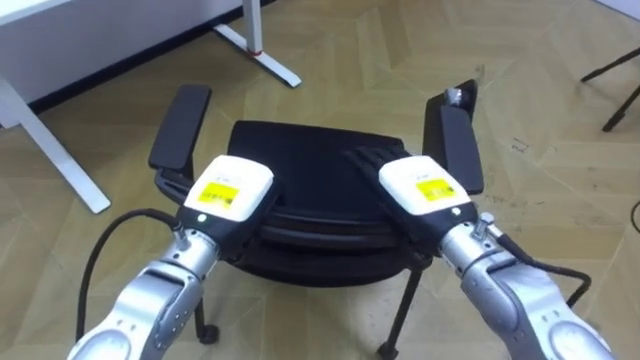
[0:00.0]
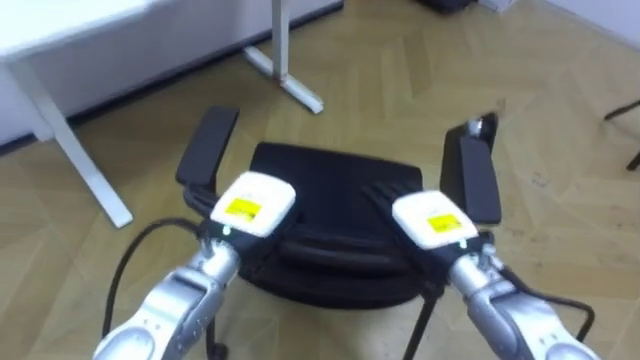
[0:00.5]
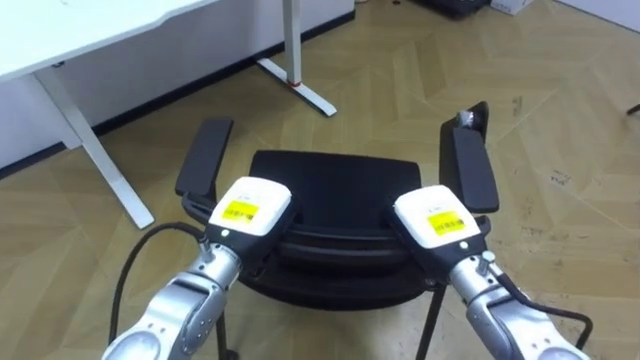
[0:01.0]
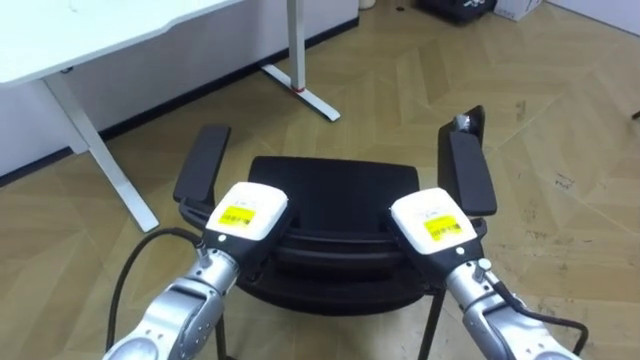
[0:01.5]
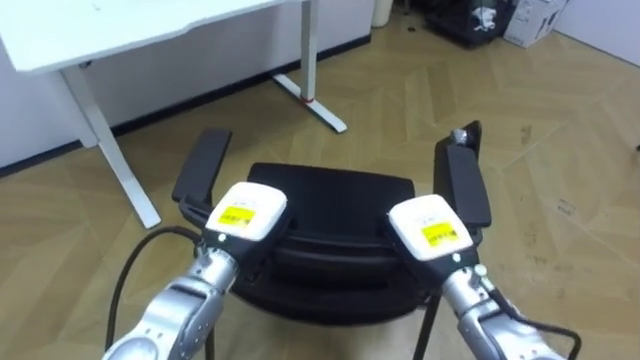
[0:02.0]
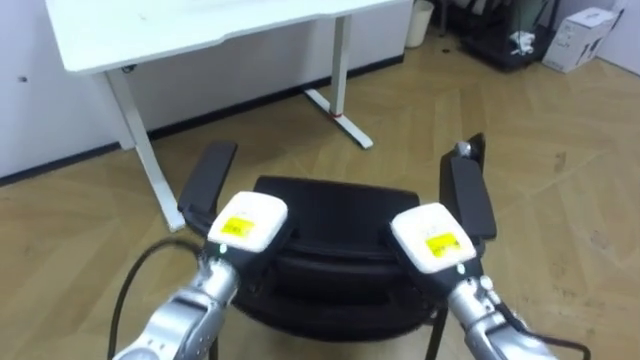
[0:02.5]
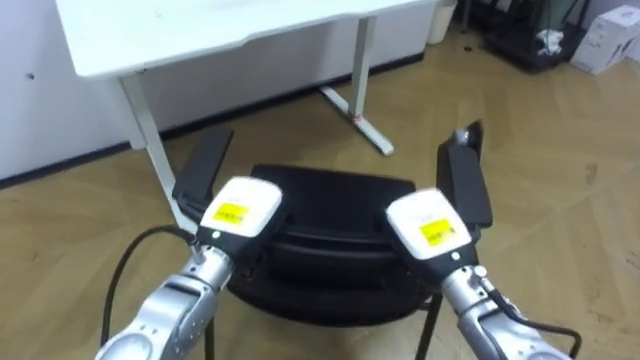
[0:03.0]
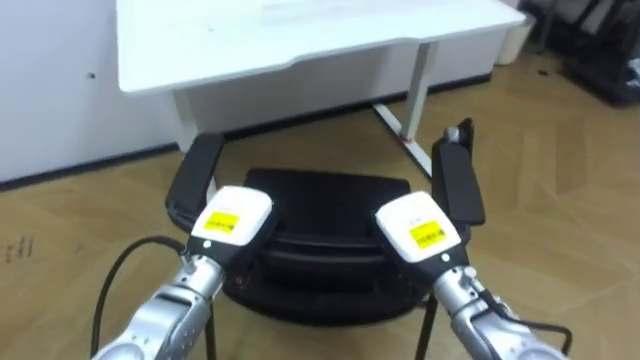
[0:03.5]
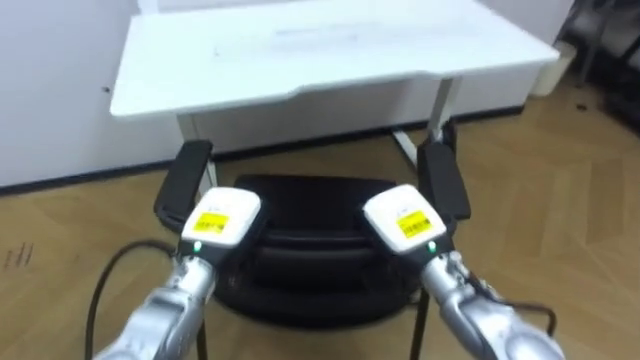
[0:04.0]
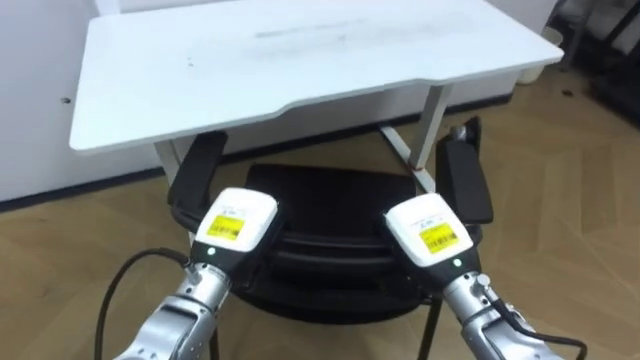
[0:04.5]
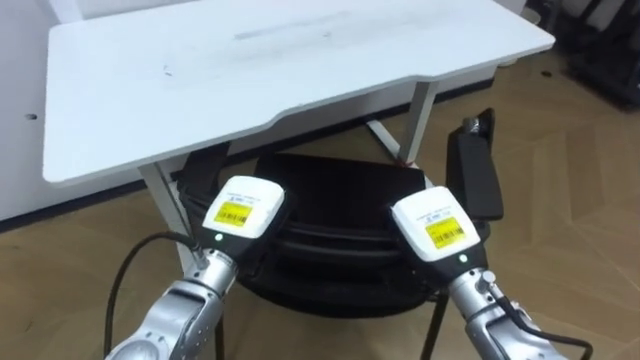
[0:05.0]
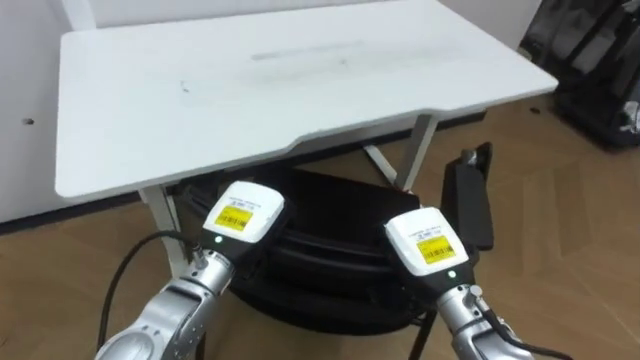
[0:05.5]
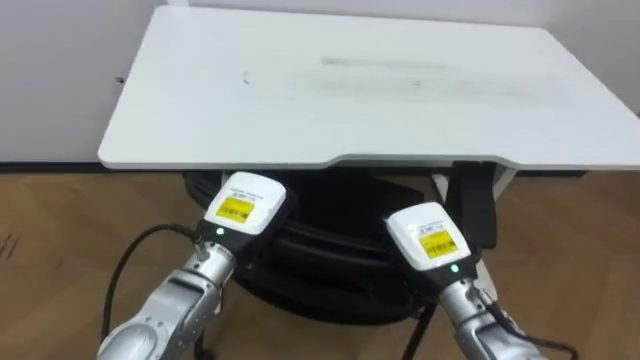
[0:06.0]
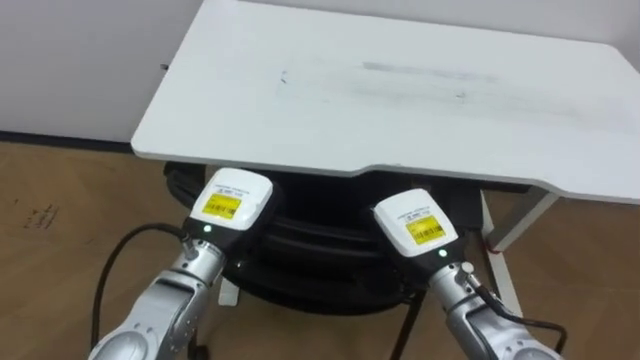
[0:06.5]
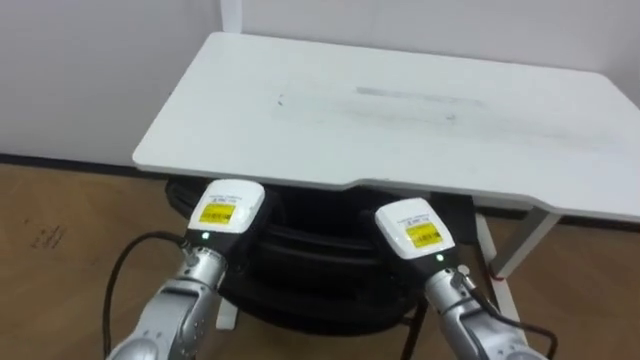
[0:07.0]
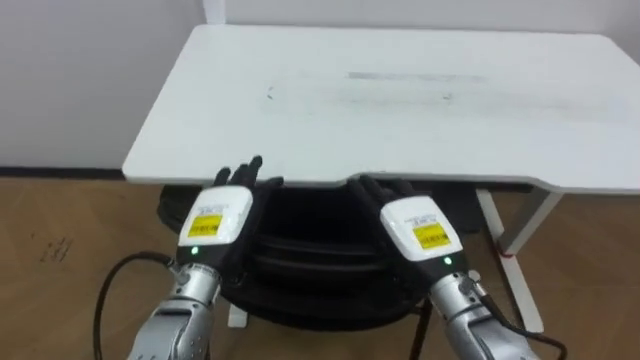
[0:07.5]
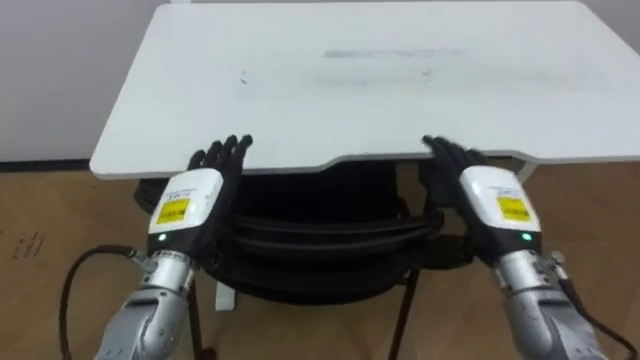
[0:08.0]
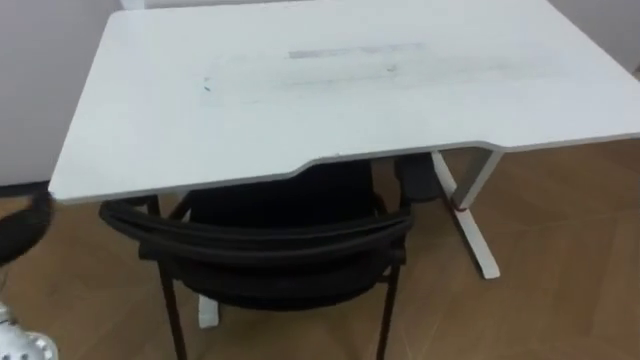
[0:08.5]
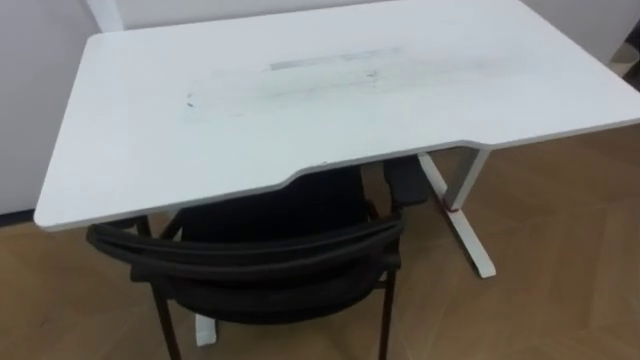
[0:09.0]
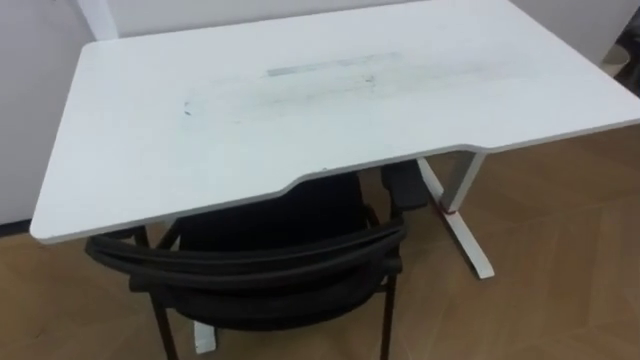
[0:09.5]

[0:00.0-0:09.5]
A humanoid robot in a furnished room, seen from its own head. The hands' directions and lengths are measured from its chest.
Task of the whole recording: Push the chair under the table.
0:00.0 to 0:02.0: The right hand is displaced downward by about 5 cm, and closes its fingers.
0:02.0 to 0:04.0: The robot rotates about 20 degrees to its left.
0:05.5 to 0:07.5: The robot's body swings approximately 20 degrees to its left. The right hand opens. The left hand opens.

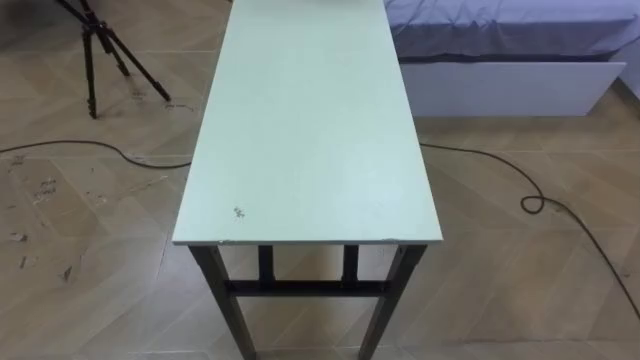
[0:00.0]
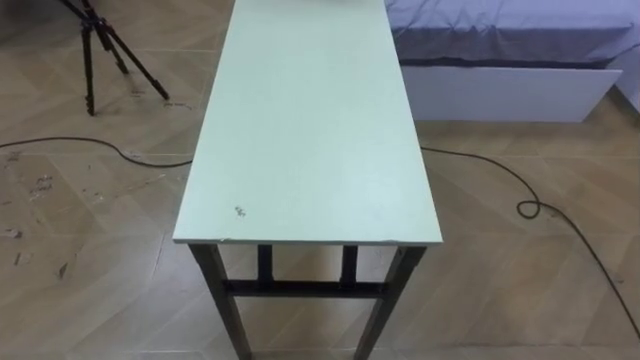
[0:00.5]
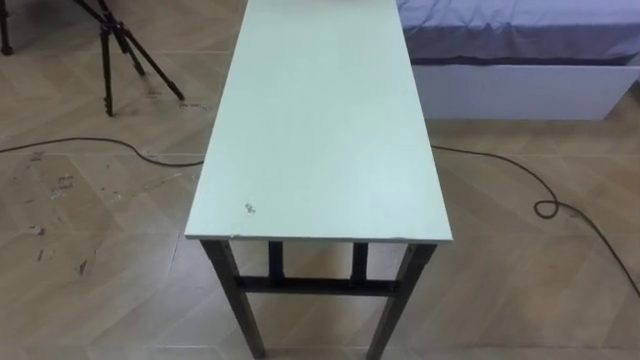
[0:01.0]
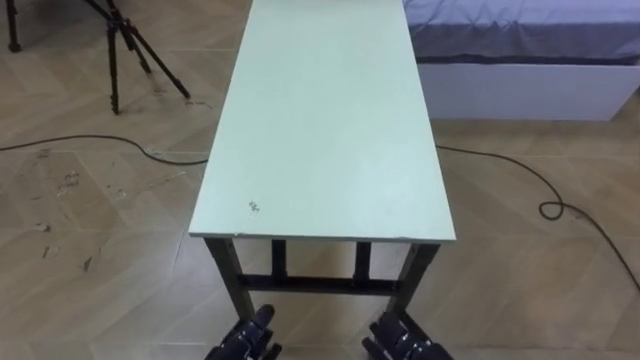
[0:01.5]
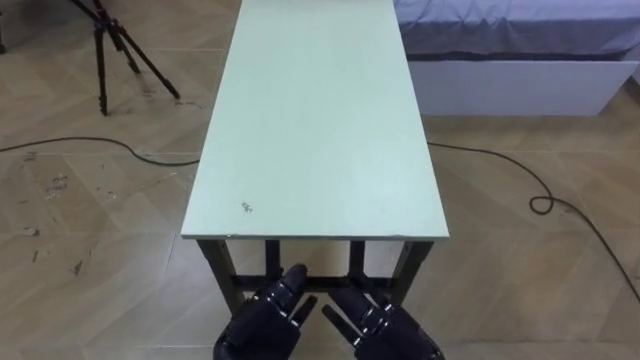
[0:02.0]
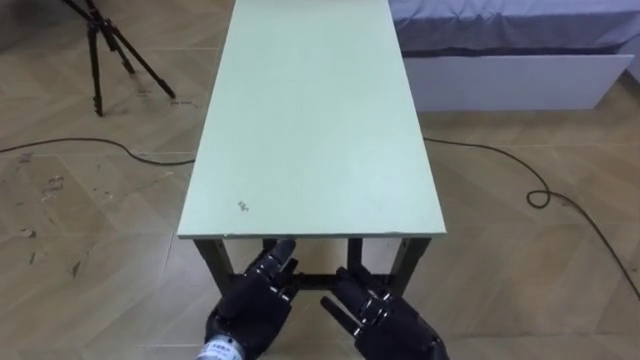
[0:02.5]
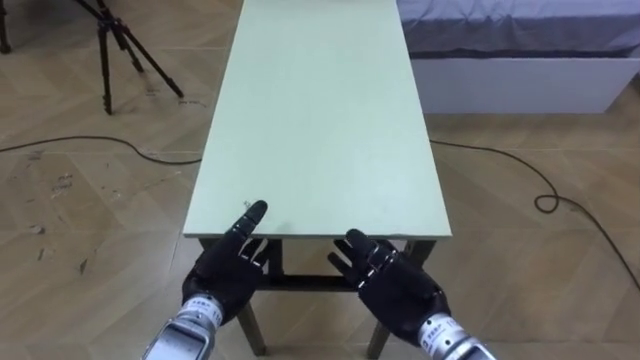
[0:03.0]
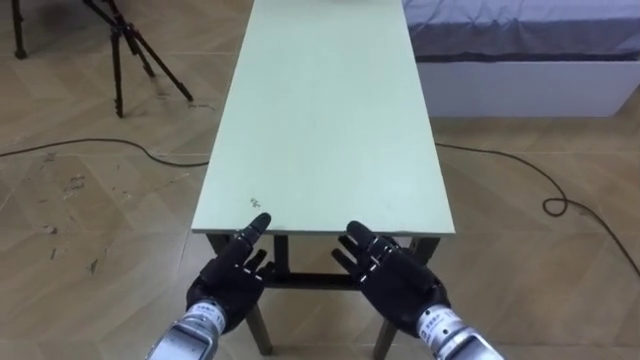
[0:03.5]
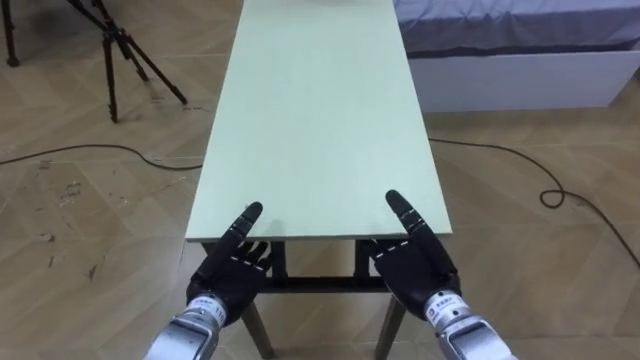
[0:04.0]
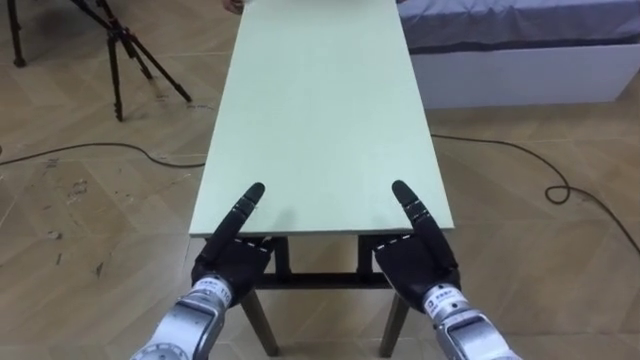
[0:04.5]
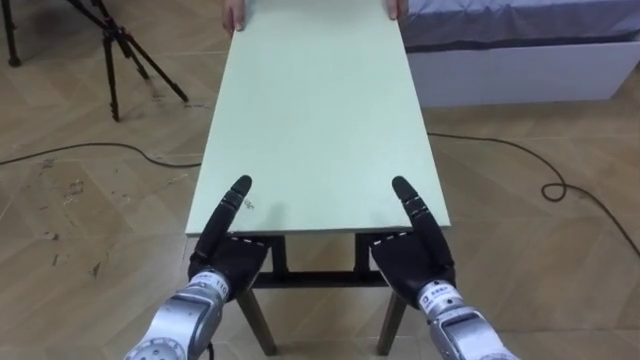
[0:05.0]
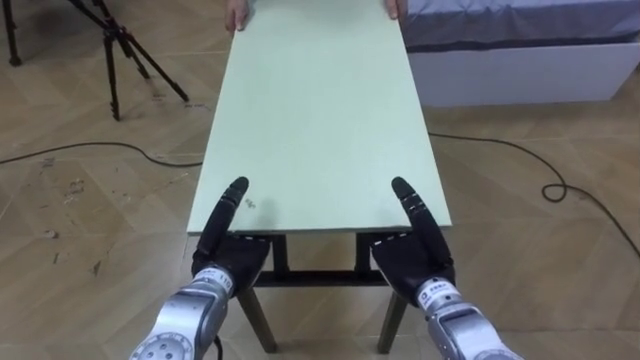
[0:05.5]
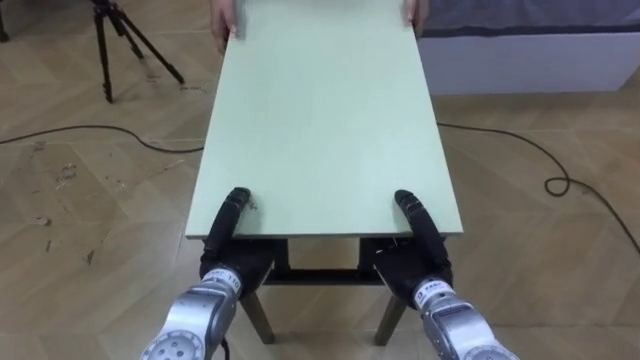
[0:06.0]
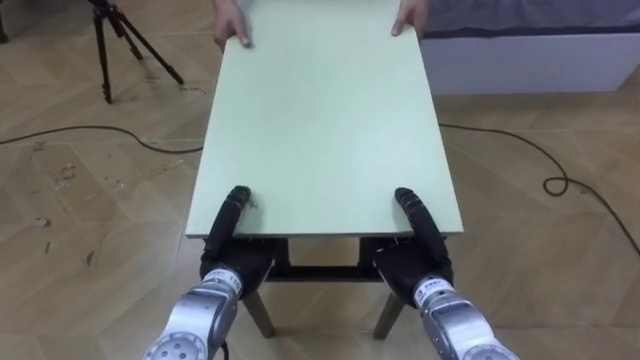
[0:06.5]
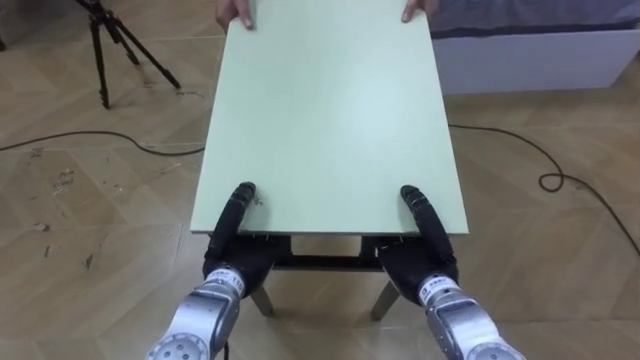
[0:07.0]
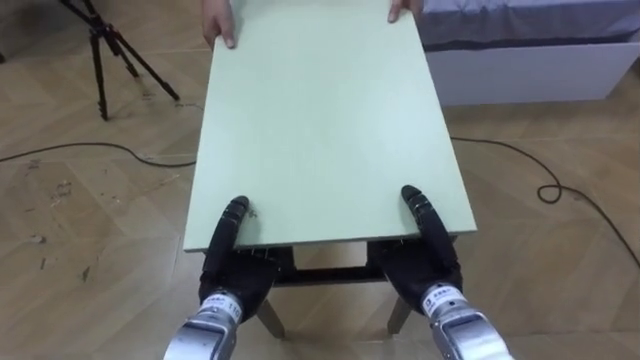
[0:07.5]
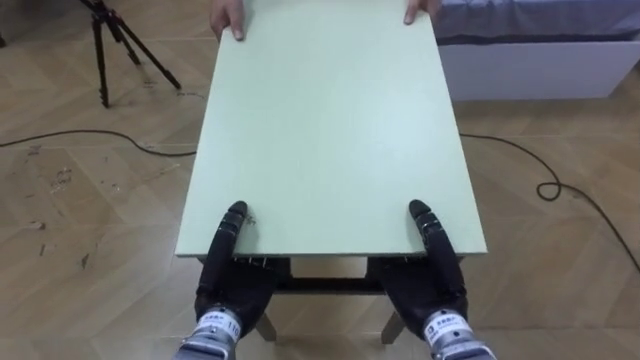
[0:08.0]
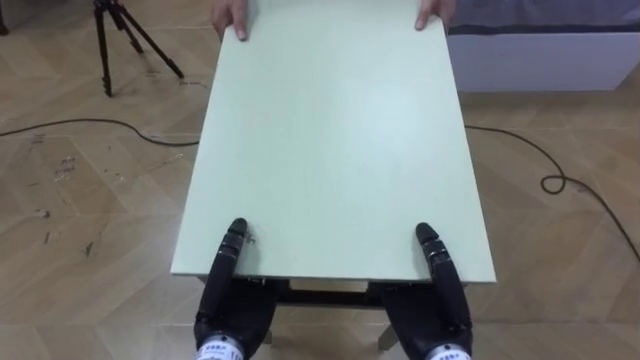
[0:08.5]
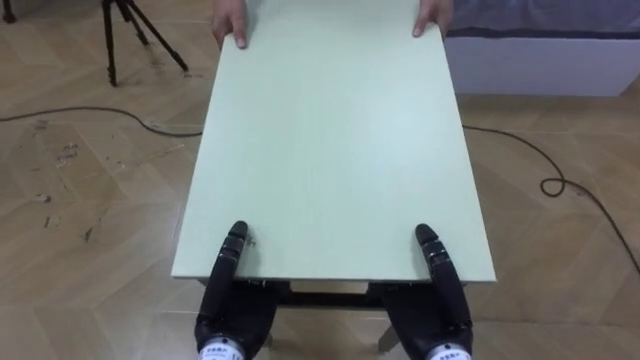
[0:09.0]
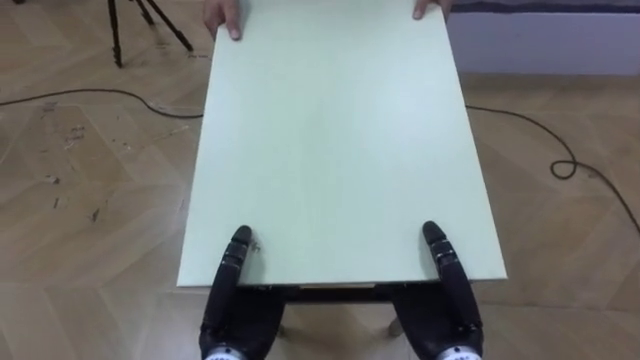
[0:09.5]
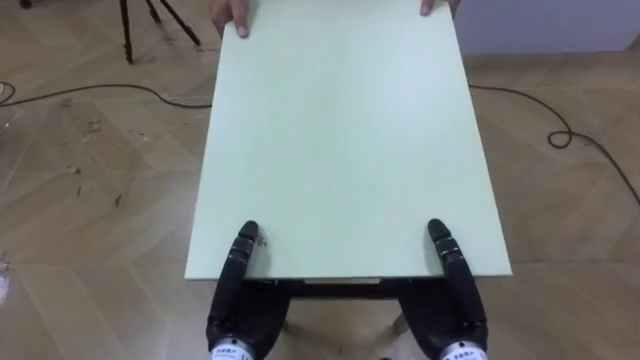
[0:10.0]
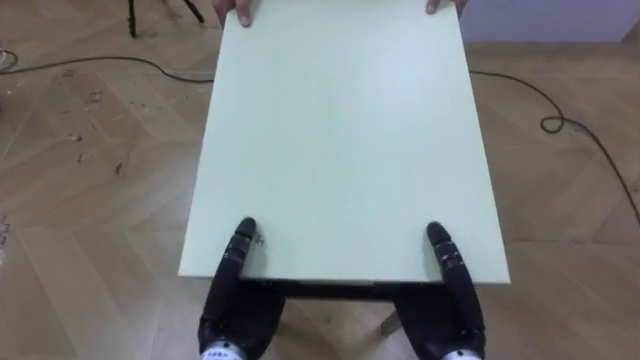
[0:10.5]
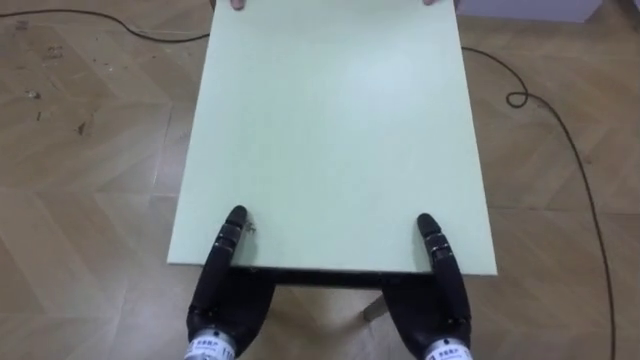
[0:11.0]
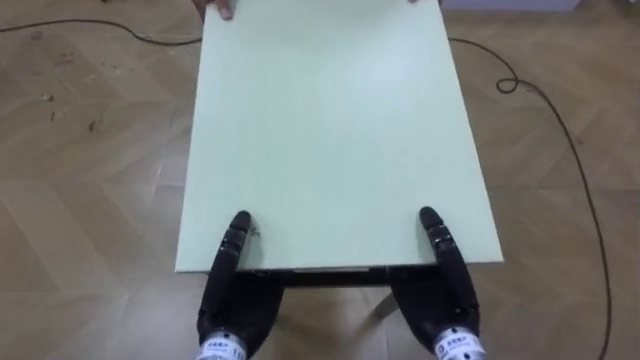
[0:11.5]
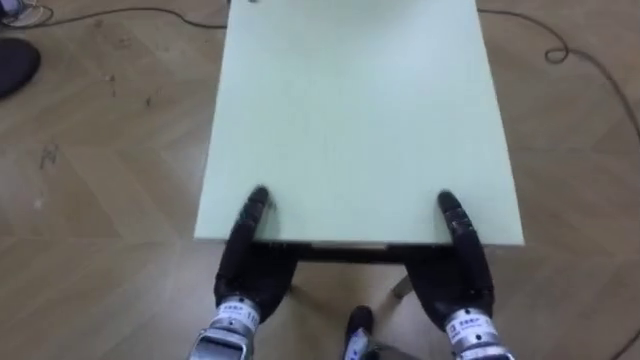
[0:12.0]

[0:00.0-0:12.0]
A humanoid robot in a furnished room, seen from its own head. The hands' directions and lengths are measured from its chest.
Task of the whole recording: Move the table to the back left with someone.
0:02.0 to 0:04.0: The two hands go about 10 cm forward.
0:04.0 to 0:06.0: The right hand closes. The left hand closes.
